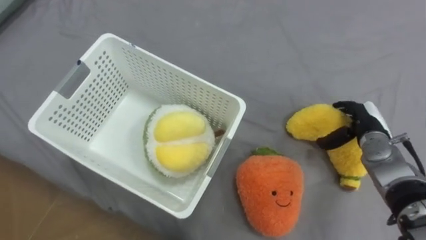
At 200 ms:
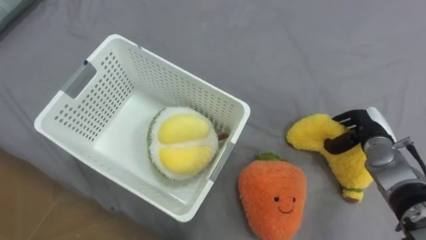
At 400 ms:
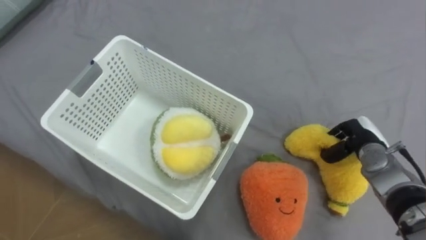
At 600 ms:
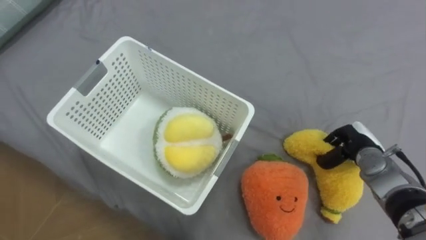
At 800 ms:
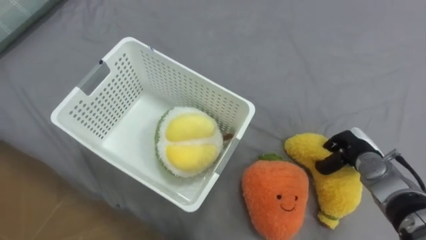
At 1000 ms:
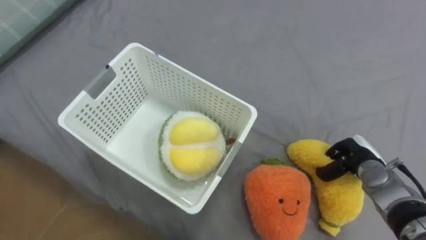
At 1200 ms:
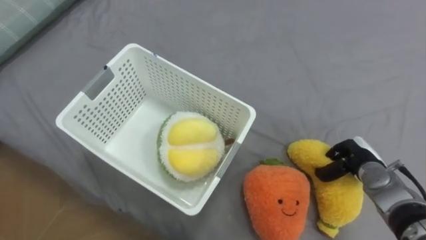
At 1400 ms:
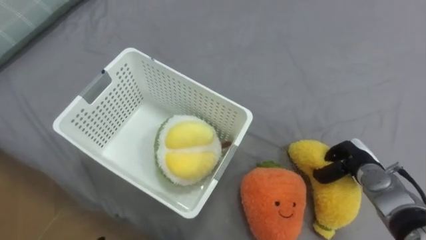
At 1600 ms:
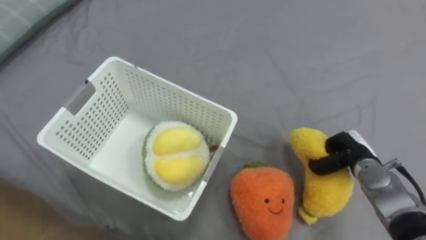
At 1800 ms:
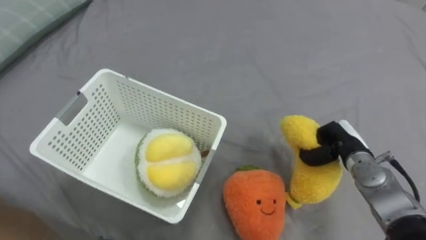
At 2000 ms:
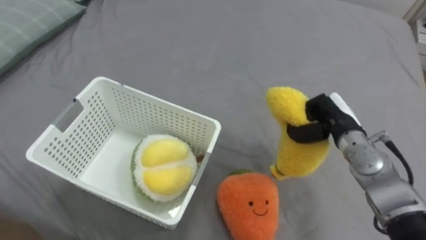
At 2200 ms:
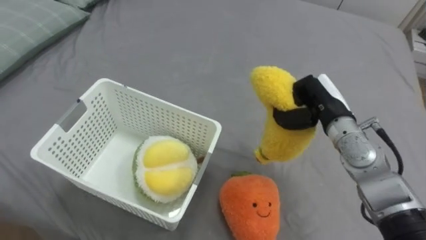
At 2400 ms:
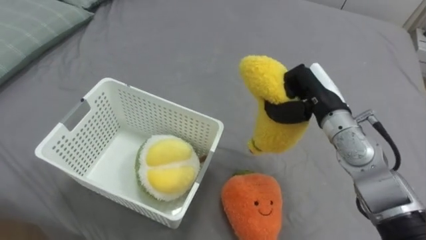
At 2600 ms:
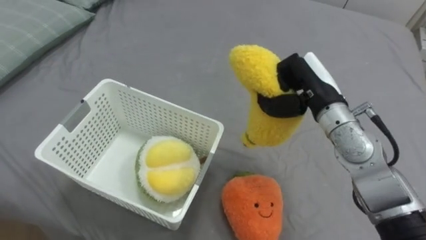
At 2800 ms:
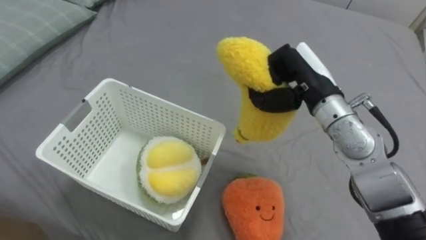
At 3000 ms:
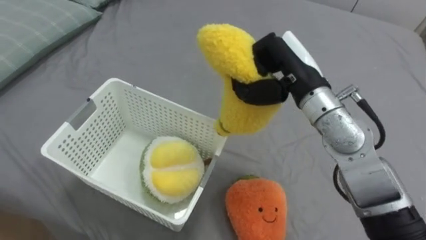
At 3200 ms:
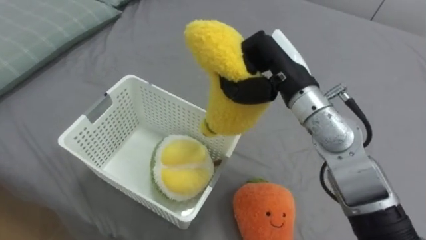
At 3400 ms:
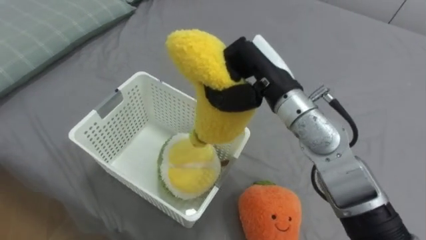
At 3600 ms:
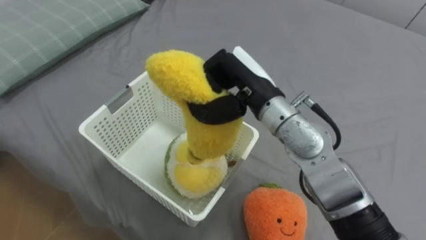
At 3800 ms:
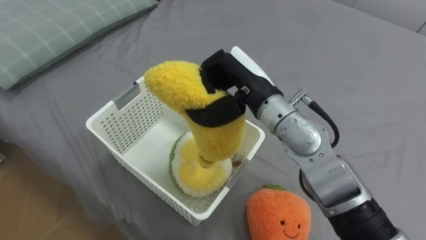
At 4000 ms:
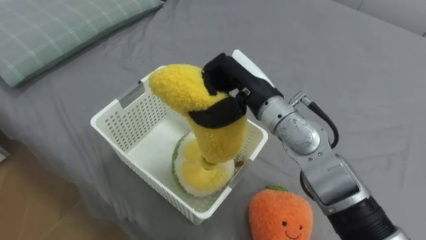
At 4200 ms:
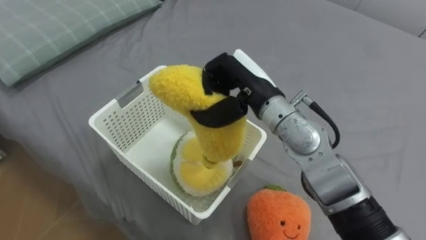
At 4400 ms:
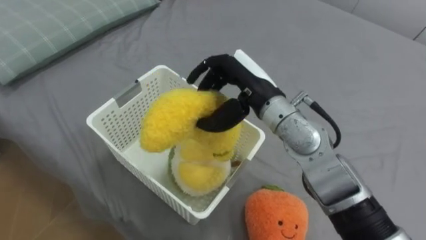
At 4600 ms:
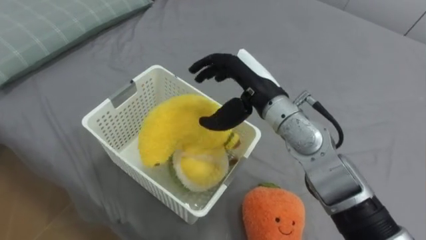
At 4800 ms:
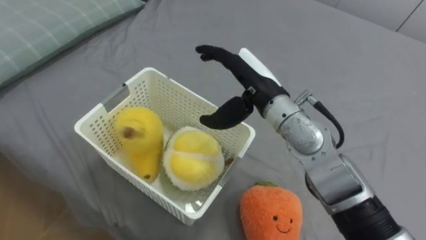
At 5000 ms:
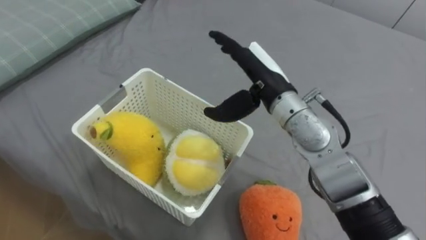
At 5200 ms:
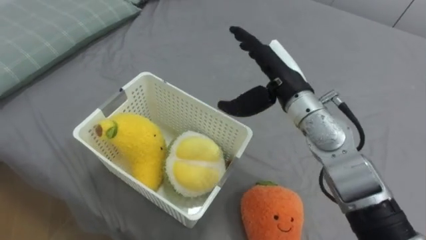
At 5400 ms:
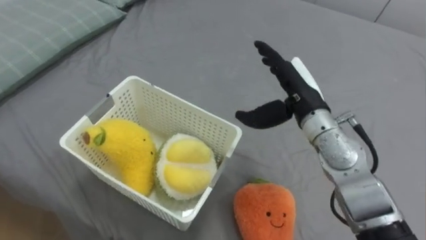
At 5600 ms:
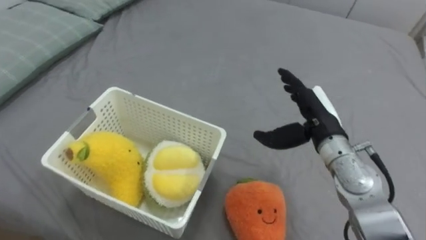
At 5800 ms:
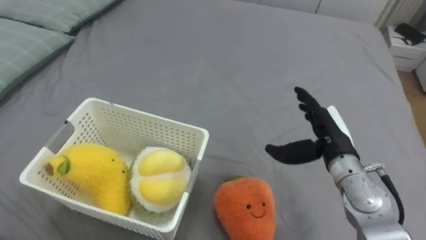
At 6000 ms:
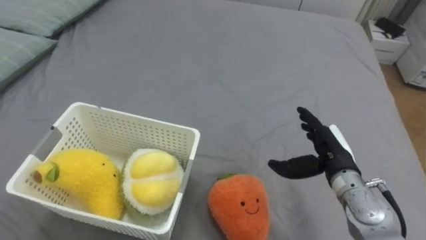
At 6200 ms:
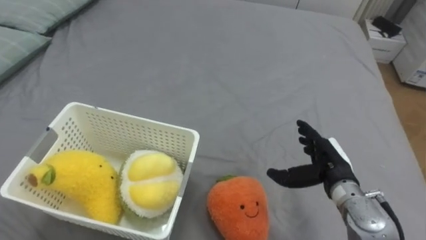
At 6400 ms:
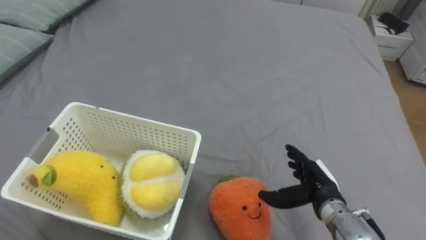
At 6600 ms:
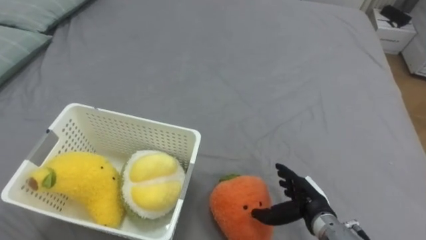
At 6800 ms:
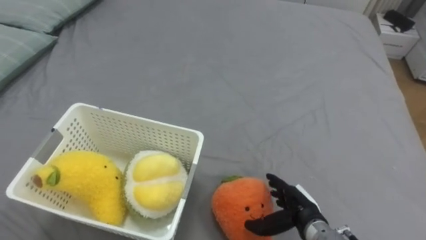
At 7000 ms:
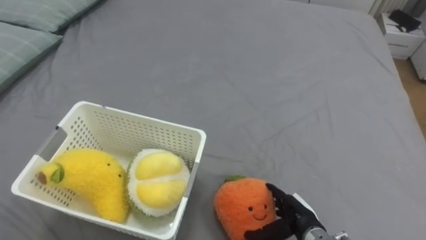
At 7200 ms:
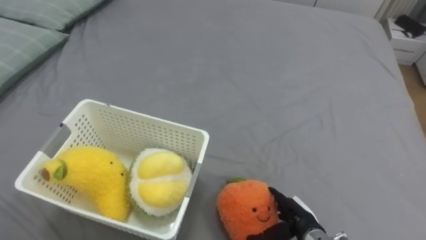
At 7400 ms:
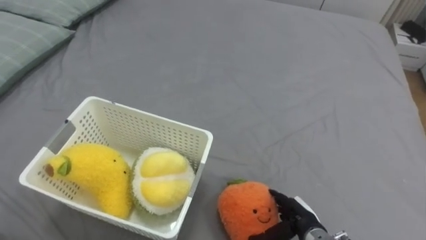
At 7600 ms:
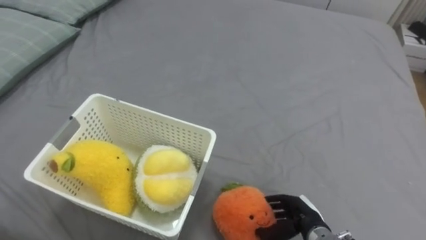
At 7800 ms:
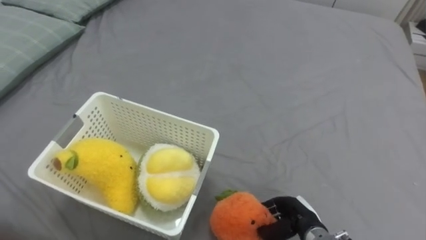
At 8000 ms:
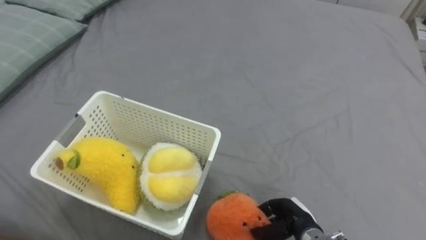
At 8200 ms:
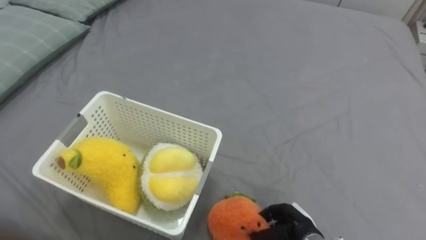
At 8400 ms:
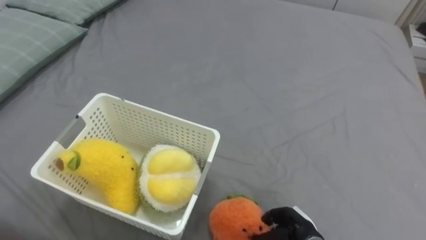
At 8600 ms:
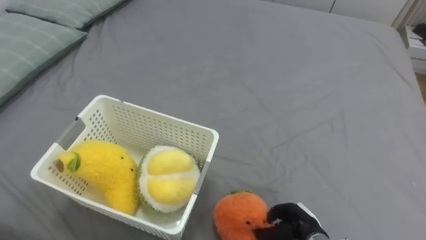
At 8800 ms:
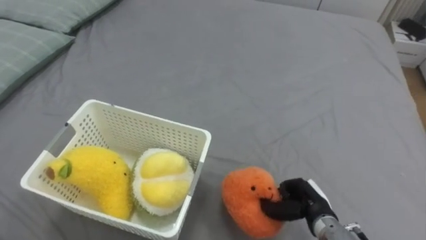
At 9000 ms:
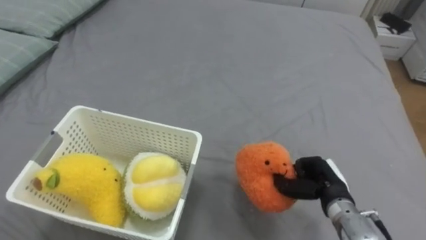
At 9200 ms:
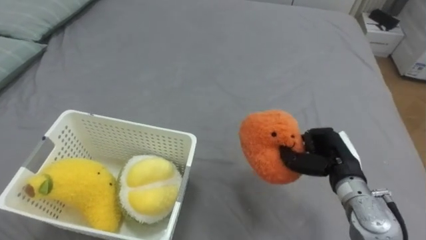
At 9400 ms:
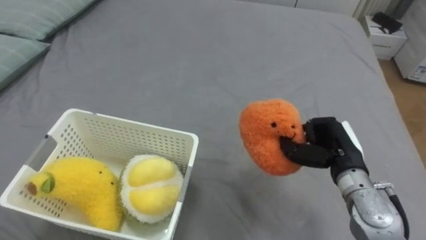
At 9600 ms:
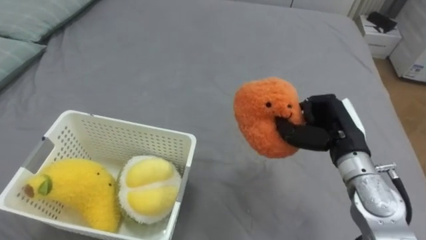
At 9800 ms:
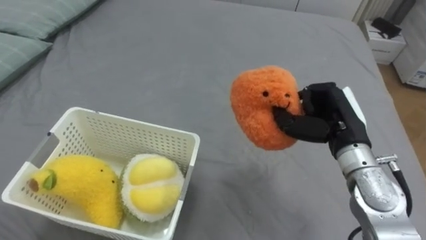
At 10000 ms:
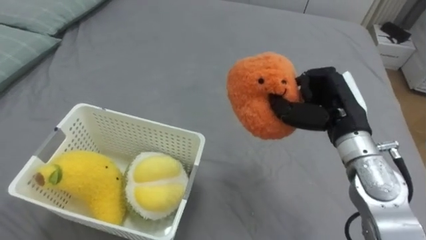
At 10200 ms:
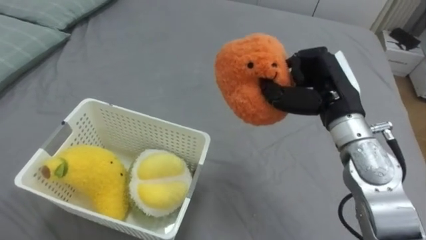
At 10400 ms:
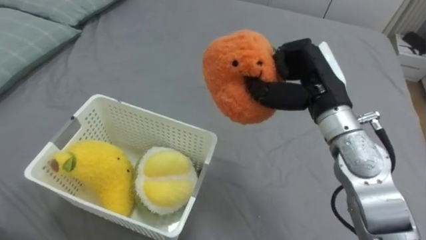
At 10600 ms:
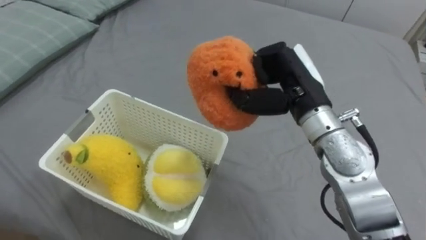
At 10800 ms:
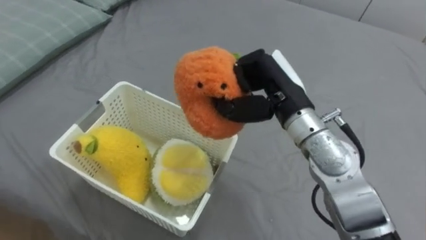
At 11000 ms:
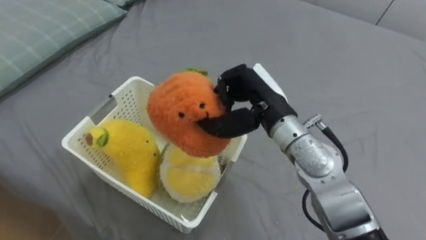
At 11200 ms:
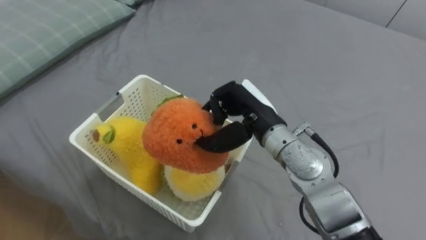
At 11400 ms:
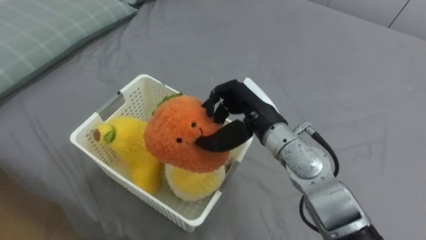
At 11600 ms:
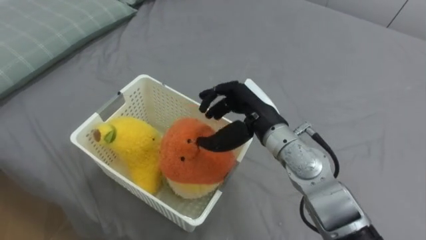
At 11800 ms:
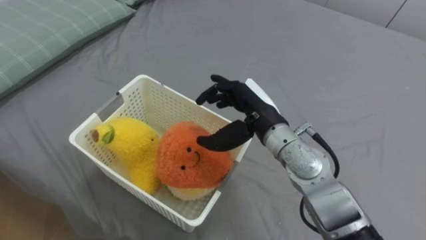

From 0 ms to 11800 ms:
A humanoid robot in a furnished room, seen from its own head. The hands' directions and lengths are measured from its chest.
Task of the whole recording: Put the toys on the bed into the basket on the left.
From 0 ms to 1400 ms: The right hand shifts about 10 cm downward and backward, and closes up.
From 1400 ms to 3000 ms: The right hand travels upward and to the left by some 30 cm.
From 3000 ms to 4400 ms: The right hand shifts some 5 cm to the left, and opens up.
From 4400 ms to 6000 ms: The right hand moves to the right and downward, approximately 20 cm, and opens.
From 6000 ms to 7400 ms: The right hand travels downward and backward by about 15 cm.
From 7400 ms to 8800 ms: The right hand closes up.
From 8800 ms to 10400 ms: The right hand shifts roughly 30 cm upward and forward.
From 10400 ms to 11800 ms: The right hand goes approximately 10 cm to the left and downward, and opens up.

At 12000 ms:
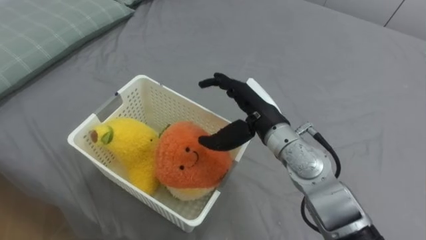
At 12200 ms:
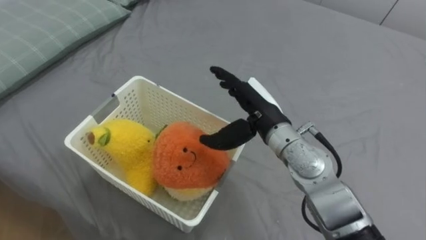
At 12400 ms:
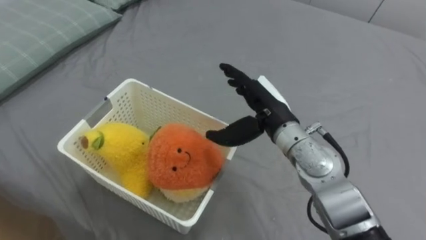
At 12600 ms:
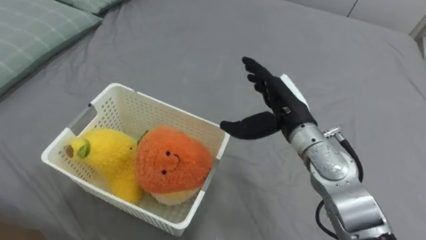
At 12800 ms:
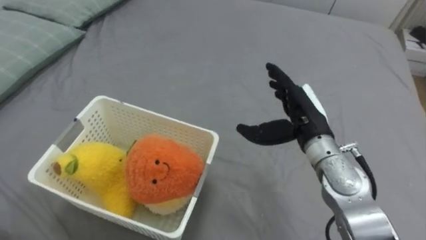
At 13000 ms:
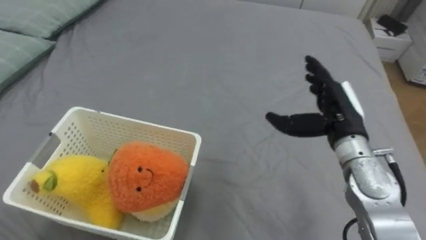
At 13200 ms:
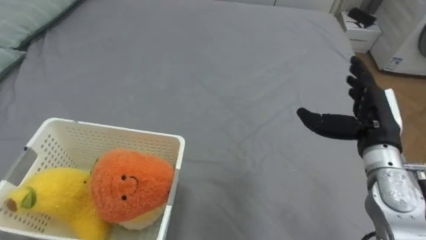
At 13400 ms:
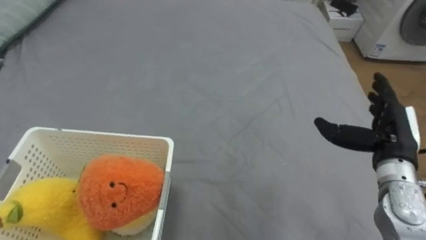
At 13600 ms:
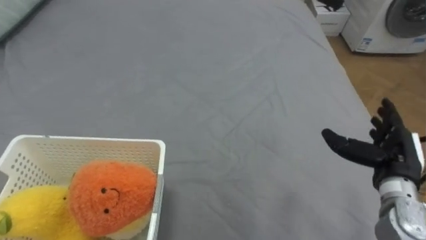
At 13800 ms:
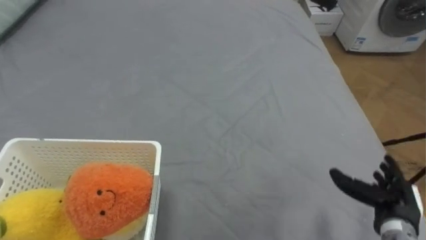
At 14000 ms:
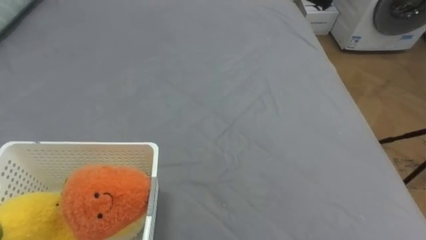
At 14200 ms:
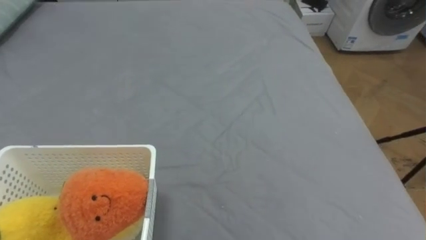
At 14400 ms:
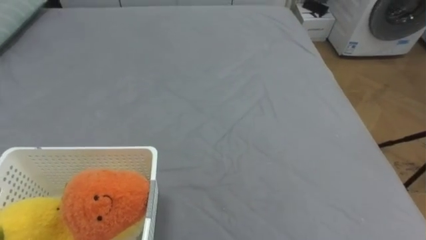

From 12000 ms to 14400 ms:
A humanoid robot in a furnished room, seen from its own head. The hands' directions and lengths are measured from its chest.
Task of the whole recording: Put the toys on the bed into the basket on the left.
From 12000 ms to 13200 ms: The right hand shifts some 20 cm to the right.

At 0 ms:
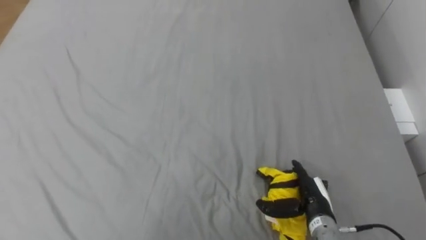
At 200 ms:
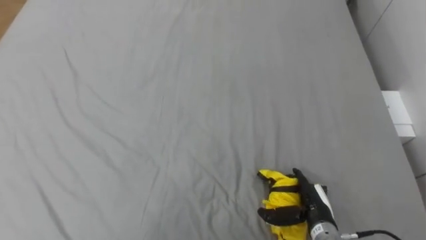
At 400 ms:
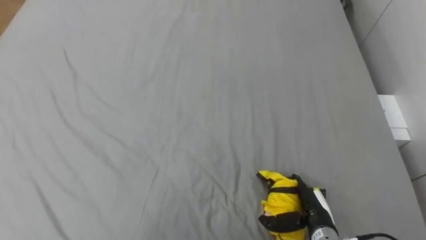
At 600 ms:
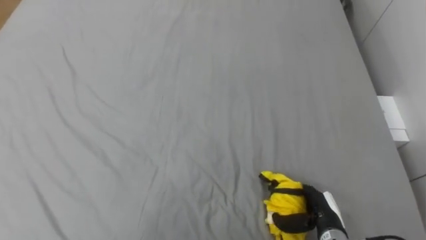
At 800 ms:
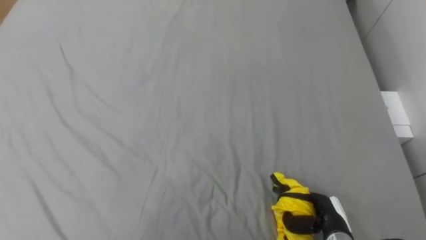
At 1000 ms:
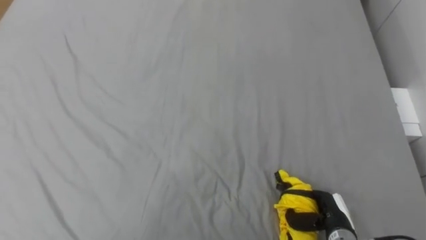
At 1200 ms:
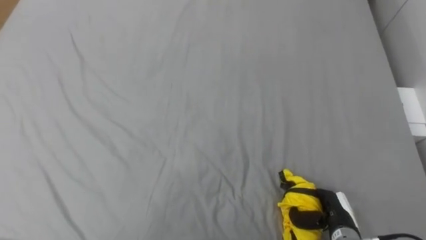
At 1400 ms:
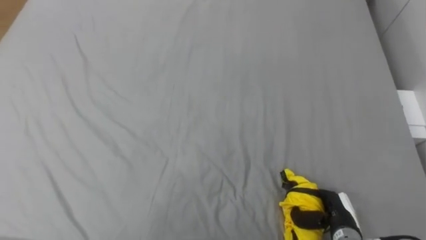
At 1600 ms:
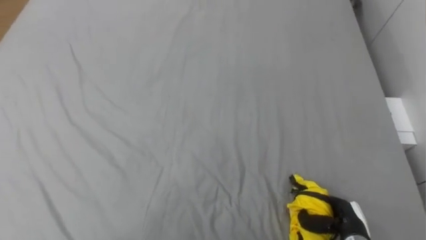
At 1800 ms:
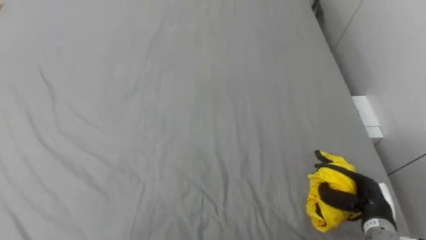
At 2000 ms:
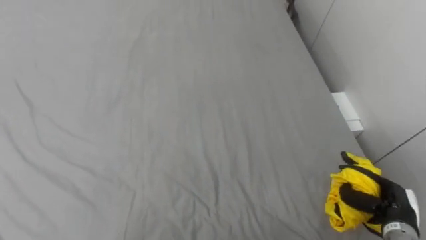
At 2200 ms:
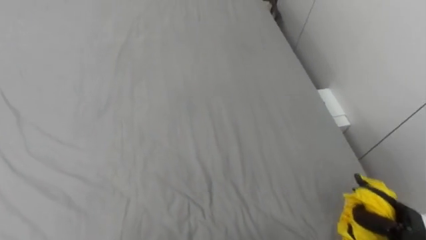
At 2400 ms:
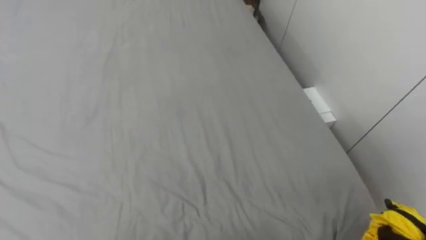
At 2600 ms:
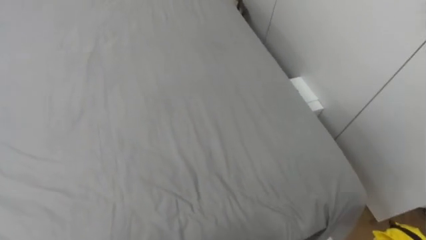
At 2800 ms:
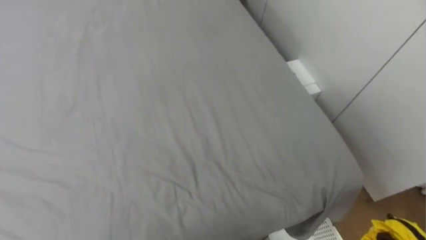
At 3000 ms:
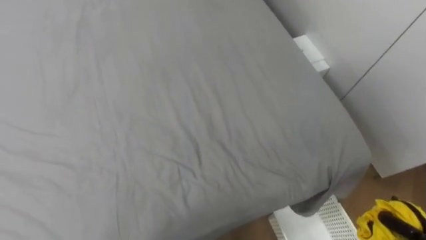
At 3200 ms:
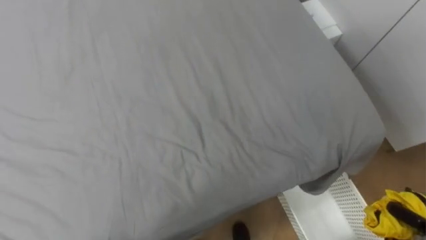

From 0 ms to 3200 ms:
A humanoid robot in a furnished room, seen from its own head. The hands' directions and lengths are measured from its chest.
Task of the whole recording: Pick up the yellow clothes on the bed and place them into the white basket on the right.
From 0 ms to 1600 ms: The right hand heads to the right, covering some 5 cm, and closes its fingers.
